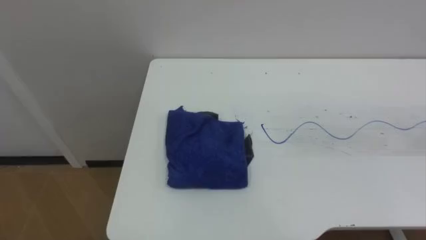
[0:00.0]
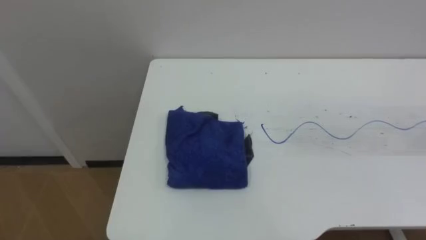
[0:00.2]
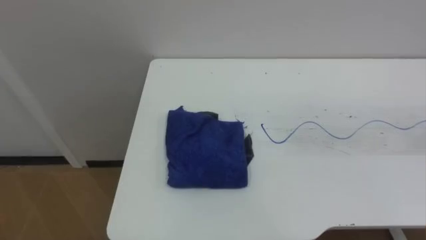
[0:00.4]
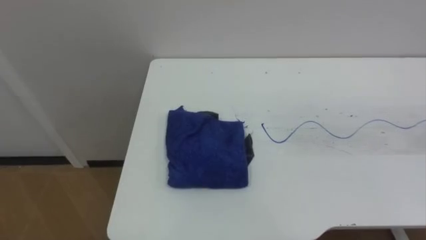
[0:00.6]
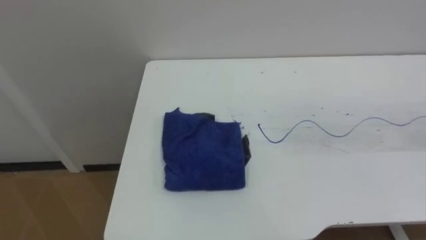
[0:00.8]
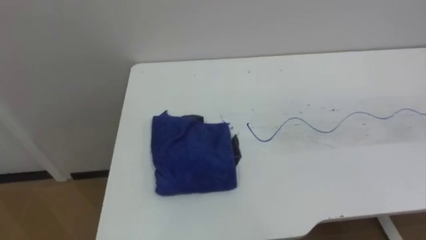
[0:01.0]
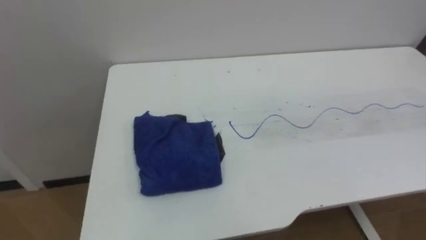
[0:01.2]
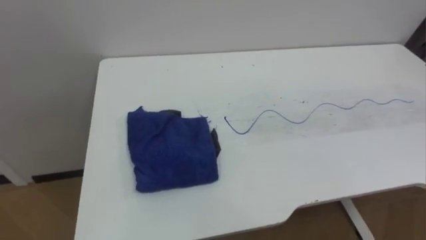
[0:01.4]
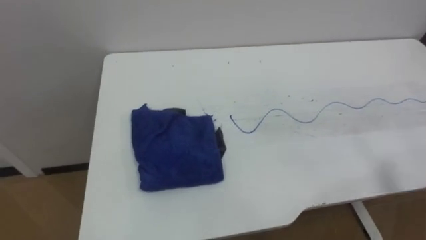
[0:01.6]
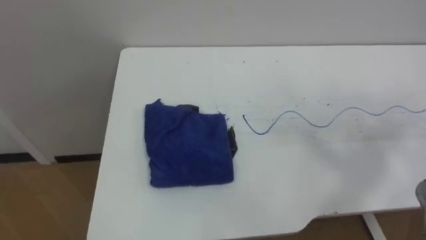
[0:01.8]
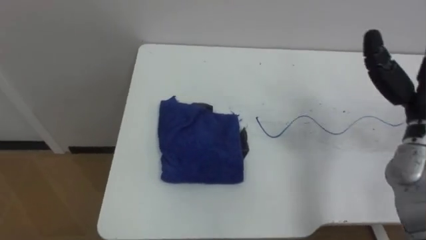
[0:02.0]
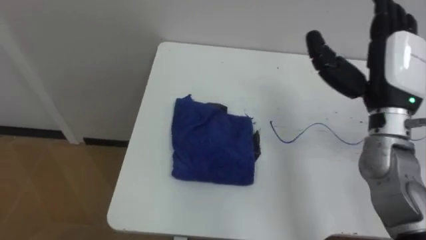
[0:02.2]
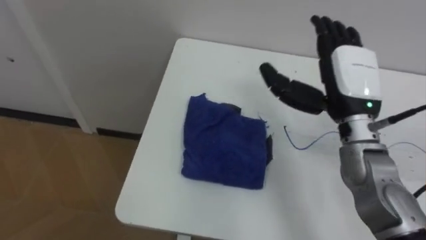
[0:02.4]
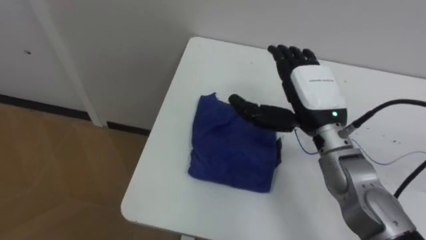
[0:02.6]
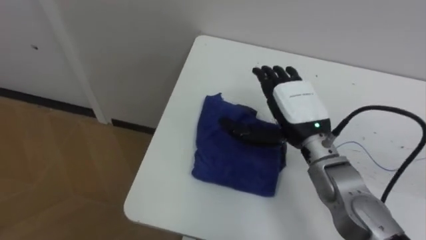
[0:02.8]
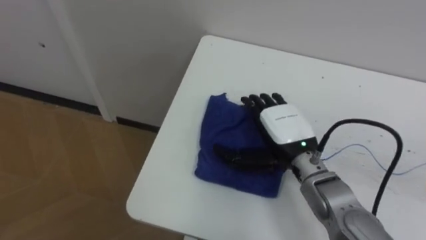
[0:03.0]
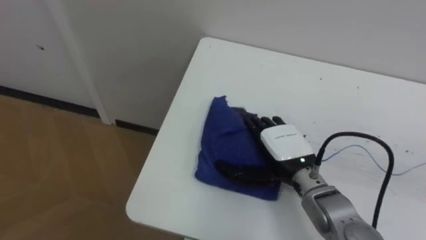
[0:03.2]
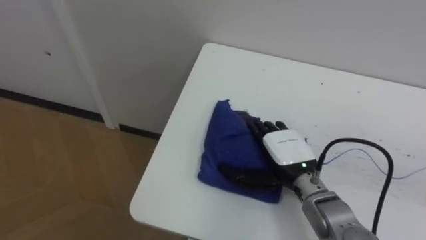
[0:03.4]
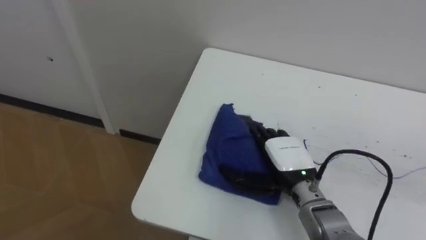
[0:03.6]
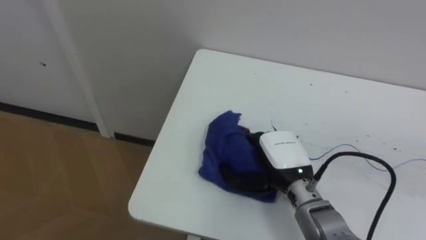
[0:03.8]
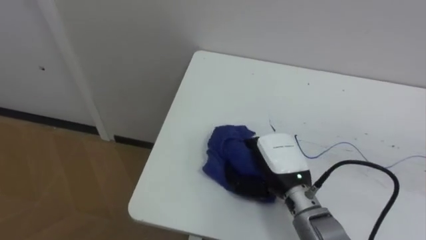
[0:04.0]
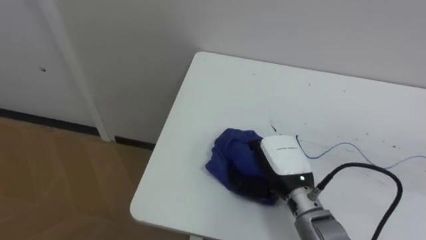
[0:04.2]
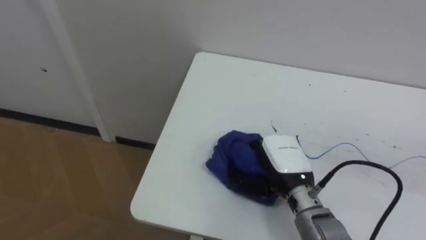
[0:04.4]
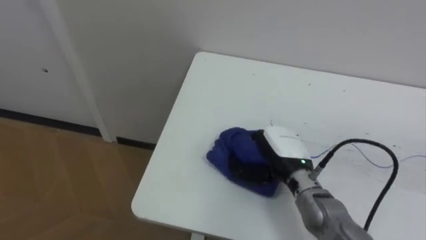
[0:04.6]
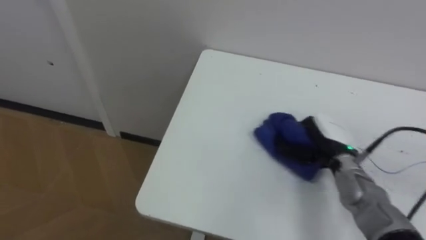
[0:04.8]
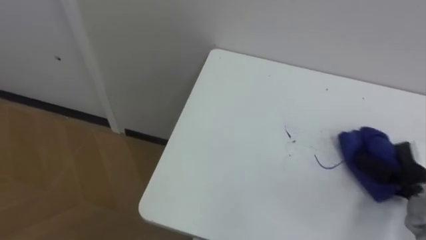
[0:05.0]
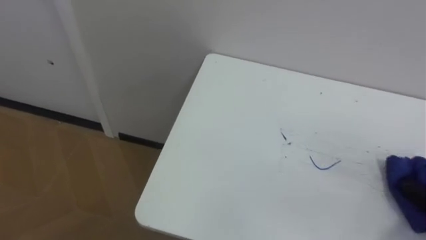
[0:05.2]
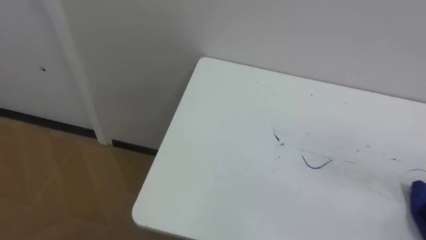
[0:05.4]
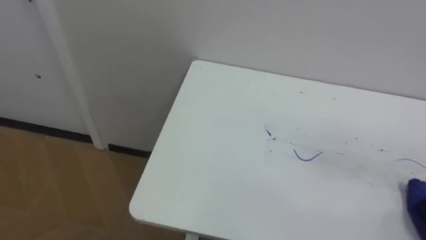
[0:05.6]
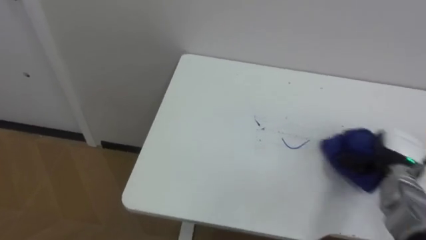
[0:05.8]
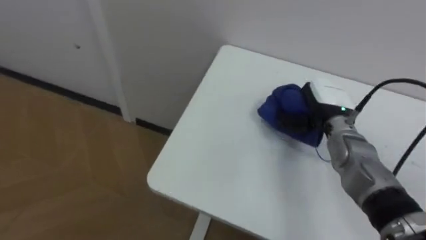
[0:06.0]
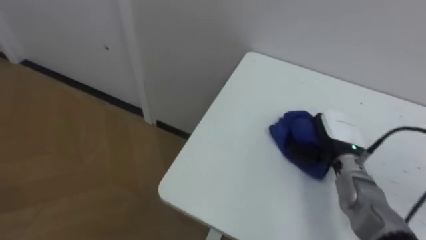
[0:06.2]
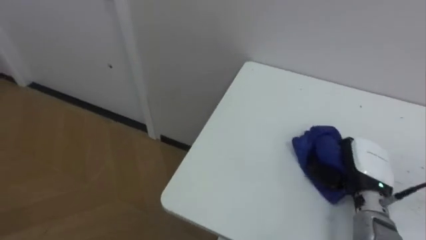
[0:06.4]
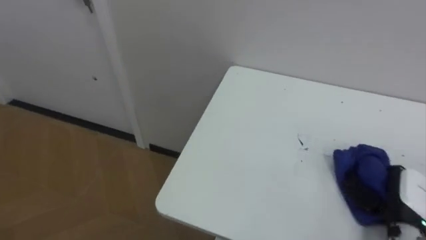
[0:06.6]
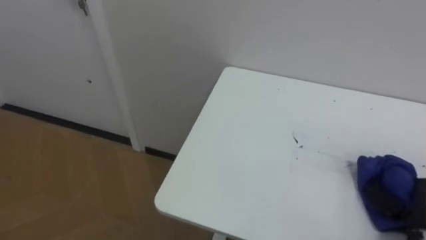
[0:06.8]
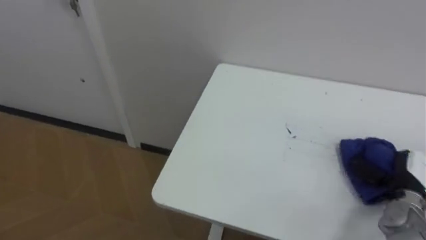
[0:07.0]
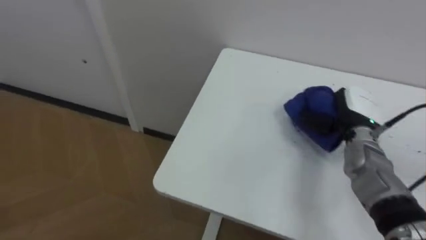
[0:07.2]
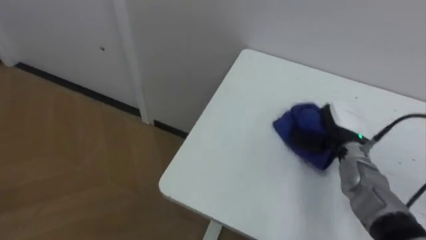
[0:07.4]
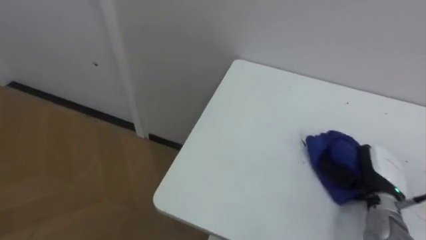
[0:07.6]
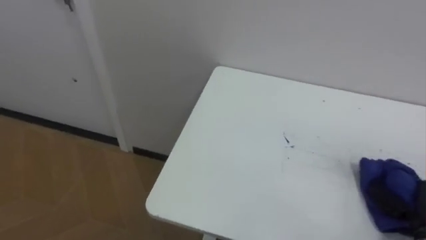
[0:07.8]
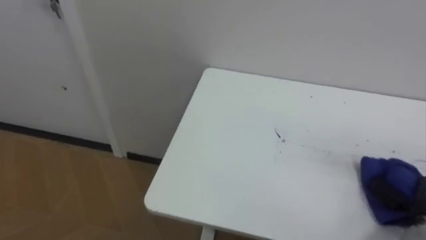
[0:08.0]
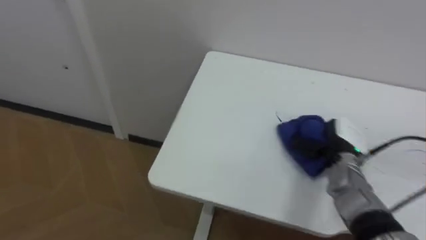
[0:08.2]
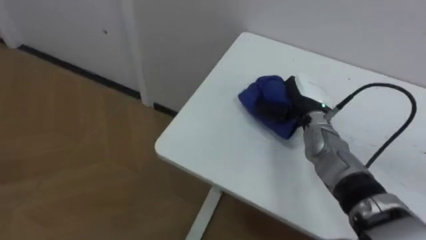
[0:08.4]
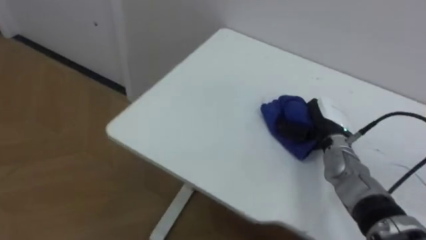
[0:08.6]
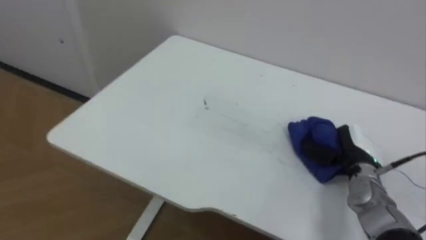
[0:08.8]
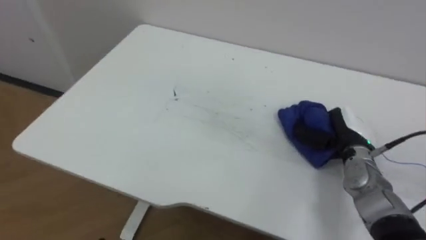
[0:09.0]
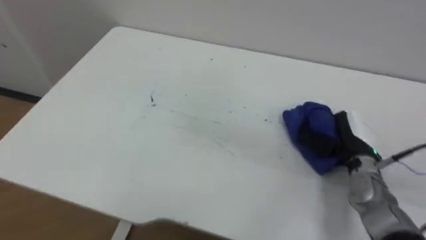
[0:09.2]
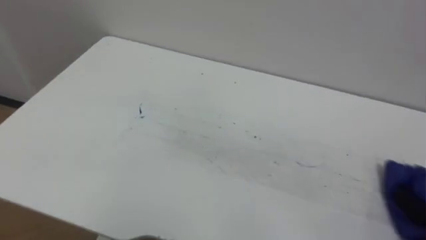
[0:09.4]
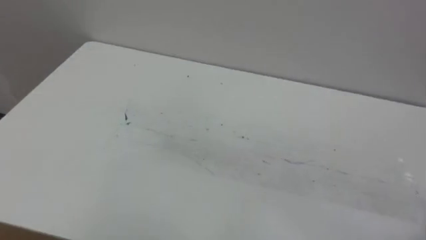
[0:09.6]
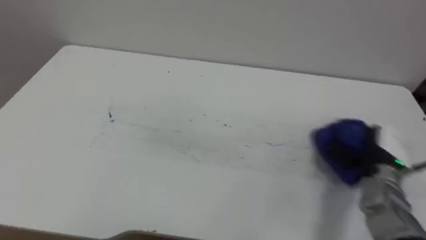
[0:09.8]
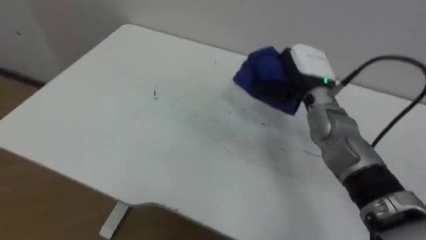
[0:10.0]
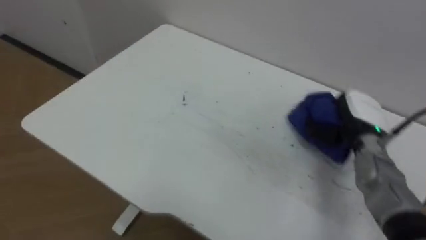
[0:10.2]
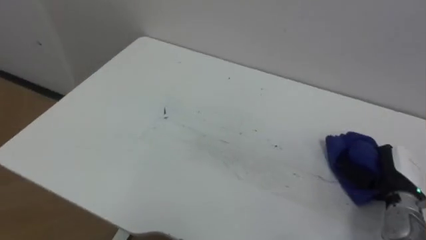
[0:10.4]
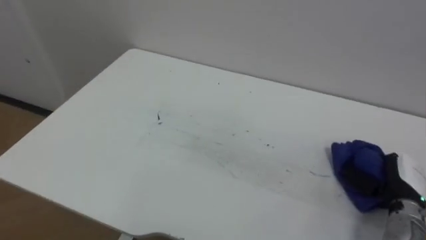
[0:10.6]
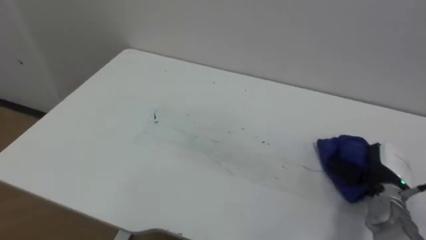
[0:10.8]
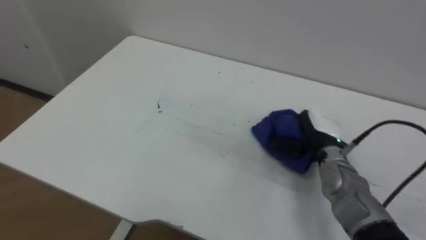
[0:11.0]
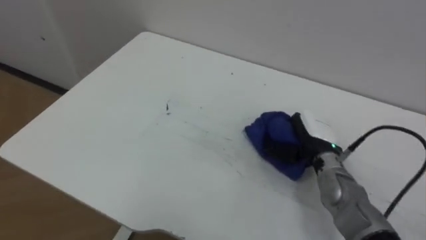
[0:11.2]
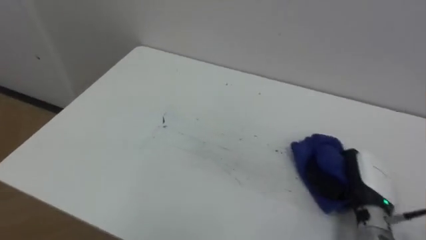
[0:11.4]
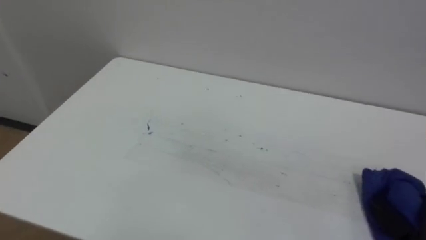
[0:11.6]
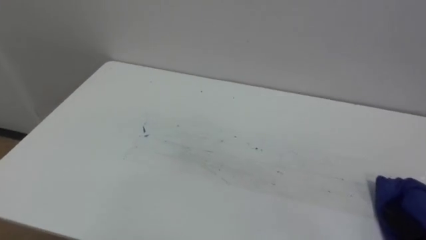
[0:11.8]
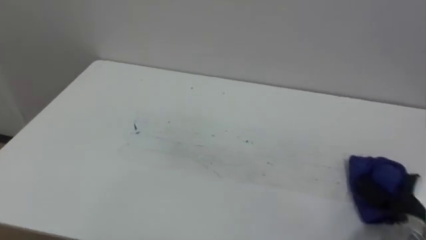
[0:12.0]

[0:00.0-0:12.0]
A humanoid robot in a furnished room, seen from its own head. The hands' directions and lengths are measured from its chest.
Task of the whole recording: Wipe the blue pen marks off the table with the rag.
0:03.0 to 0:04.4: The right hand goes some 5 cm downward, and closes its fingers.
0:06.0 to 0:07.6: The right hand goes forward and backward, roughly 20 cm each way, reversing 2 times.

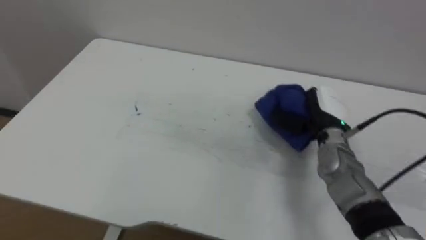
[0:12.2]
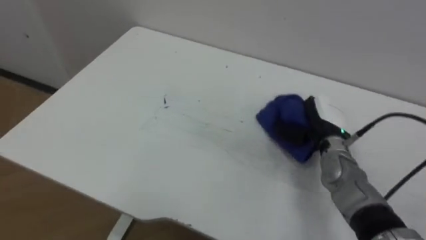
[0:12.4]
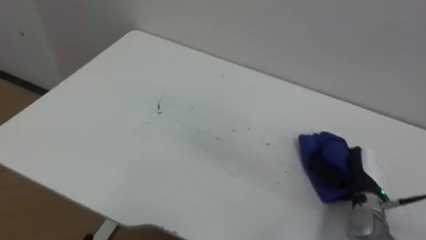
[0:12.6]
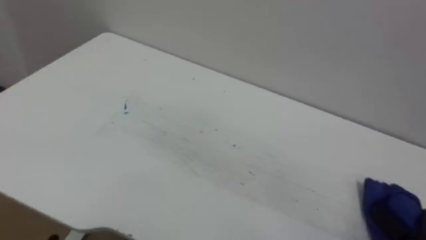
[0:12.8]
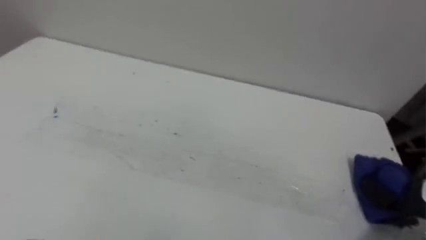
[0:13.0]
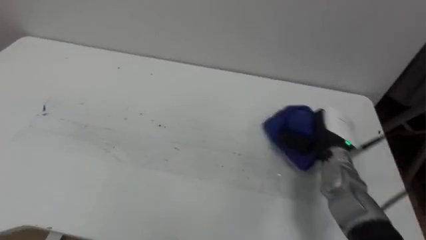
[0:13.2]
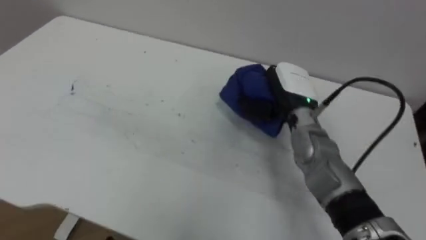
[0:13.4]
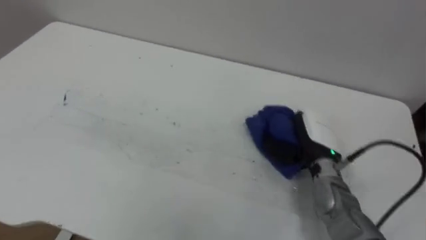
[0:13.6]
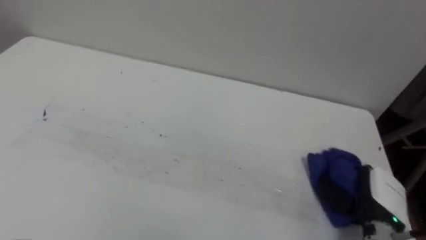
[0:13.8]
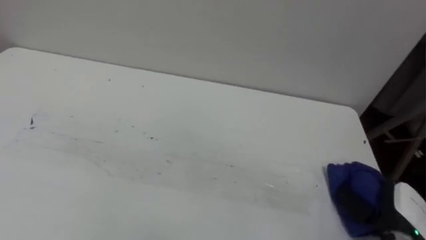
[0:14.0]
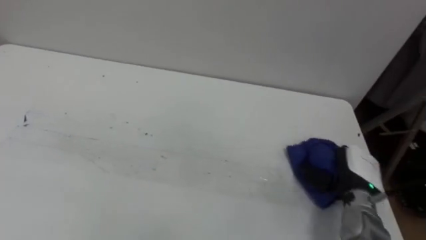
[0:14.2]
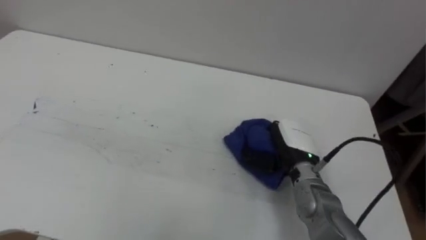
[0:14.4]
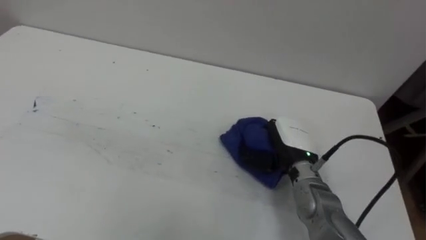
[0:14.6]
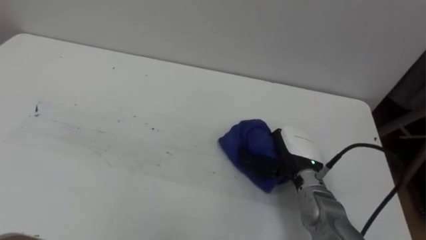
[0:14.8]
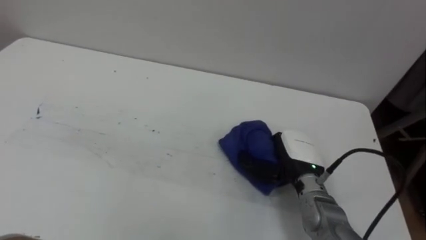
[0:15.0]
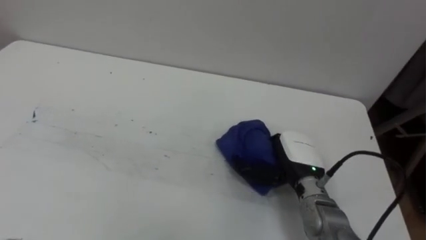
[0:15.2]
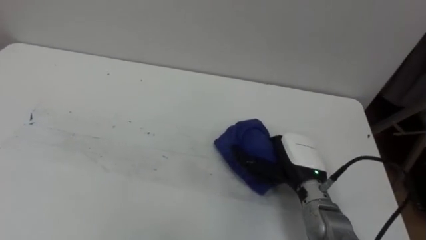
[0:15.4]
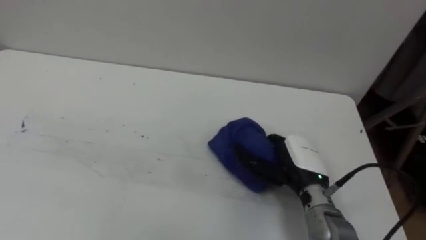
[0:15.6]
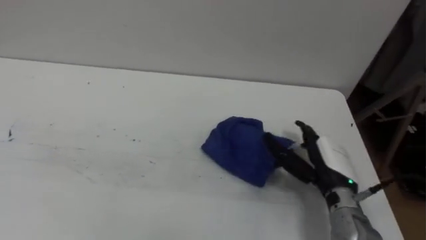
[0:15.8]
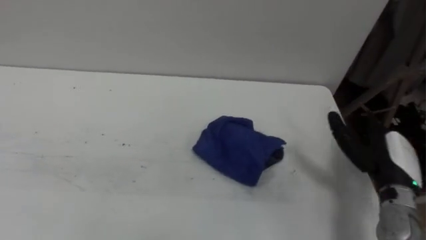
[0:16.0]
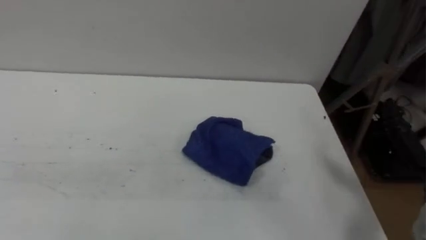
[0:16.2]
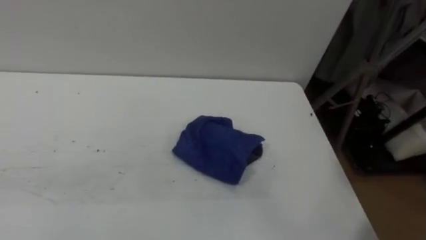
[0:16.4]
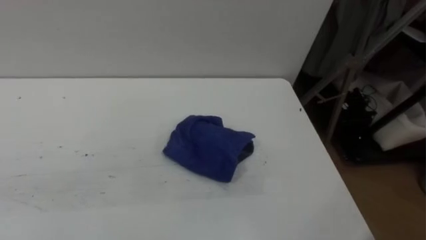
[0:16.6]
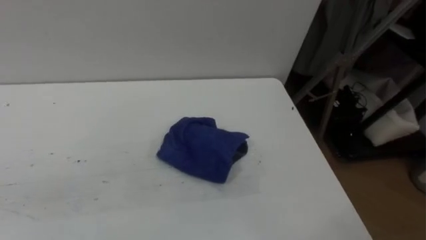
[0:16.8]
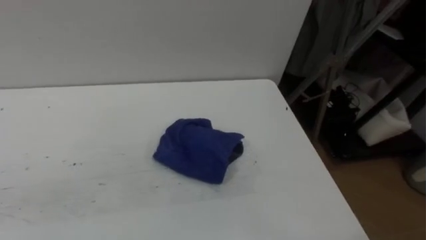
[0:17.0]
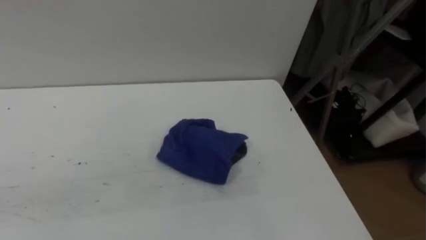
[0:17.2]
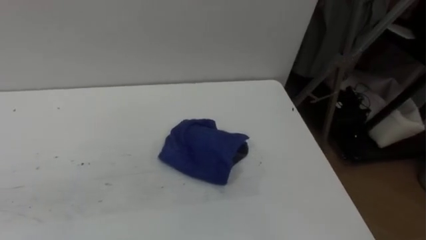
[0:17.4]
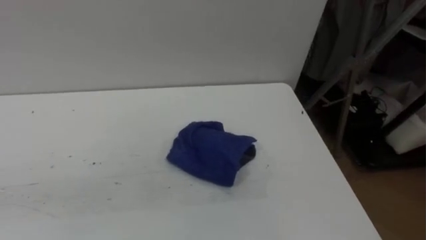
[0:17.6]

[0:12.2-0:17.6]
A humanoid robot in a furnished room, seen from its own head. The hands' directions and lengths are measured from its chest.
Task of the whole recording: Wipe the blue pen marks off the table with the rag.
0:13.6 to 0:15.0: The right hand goes to the right and returns, some 15 cm each way.
